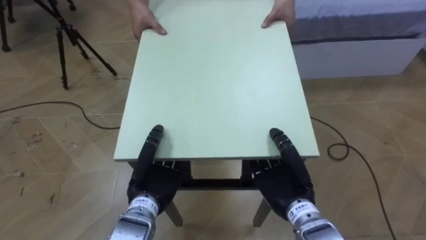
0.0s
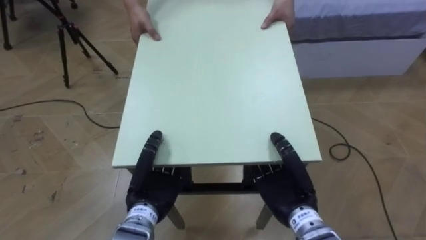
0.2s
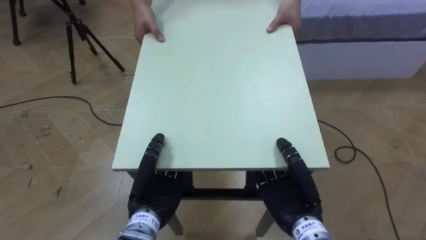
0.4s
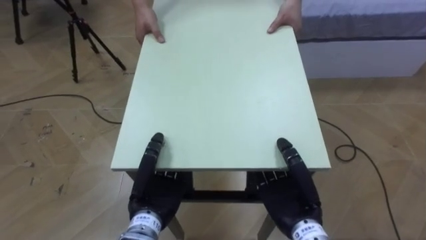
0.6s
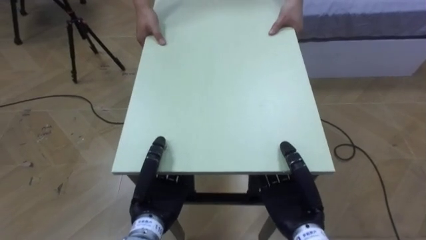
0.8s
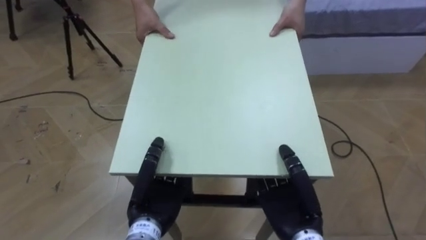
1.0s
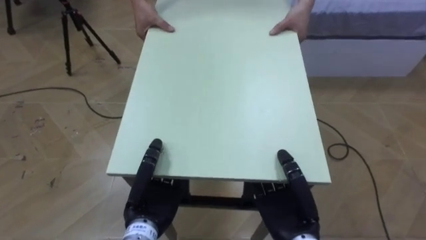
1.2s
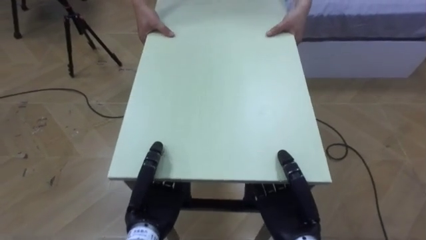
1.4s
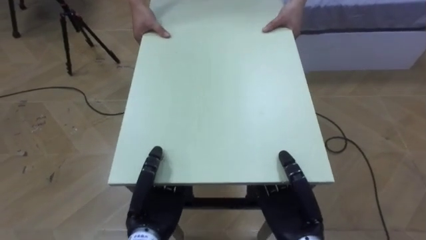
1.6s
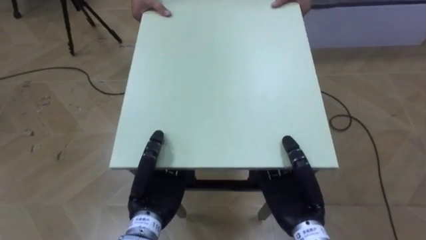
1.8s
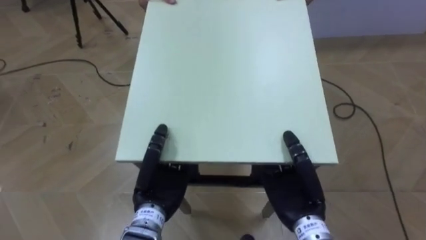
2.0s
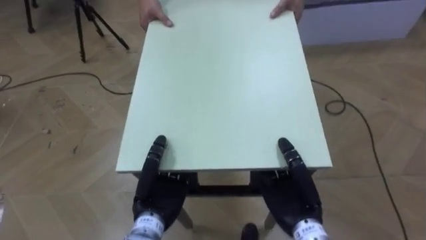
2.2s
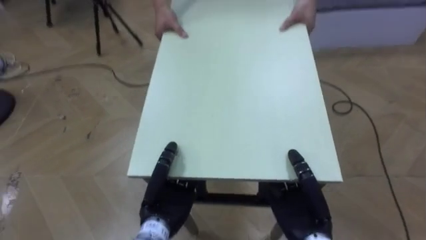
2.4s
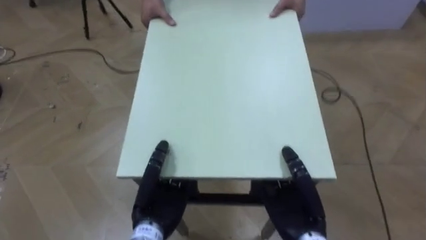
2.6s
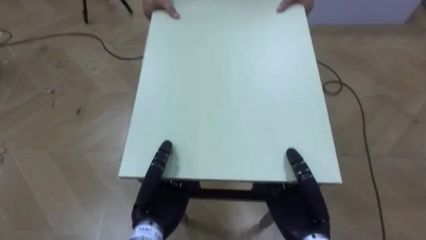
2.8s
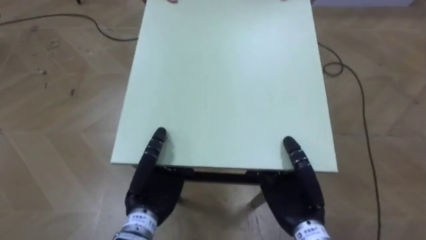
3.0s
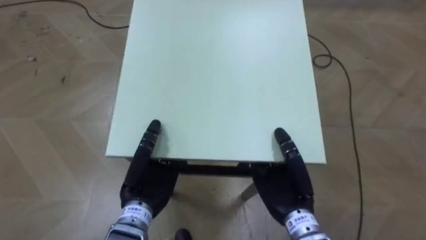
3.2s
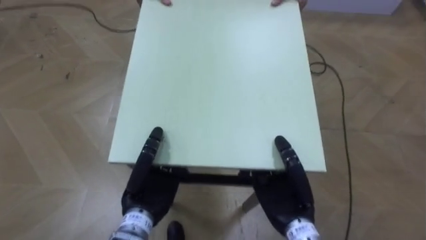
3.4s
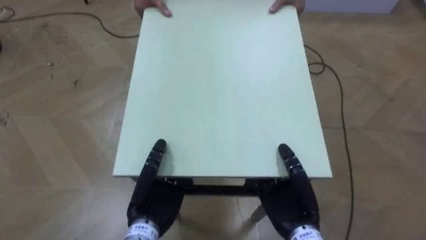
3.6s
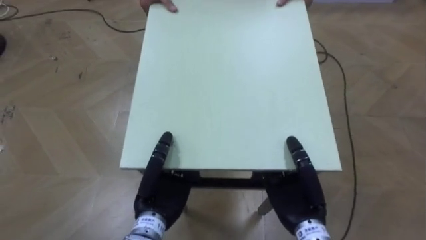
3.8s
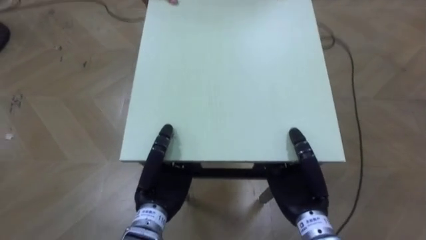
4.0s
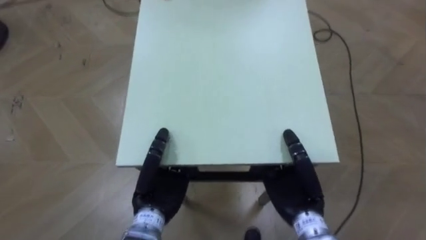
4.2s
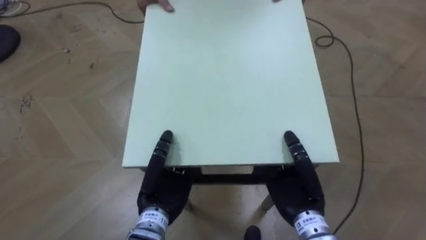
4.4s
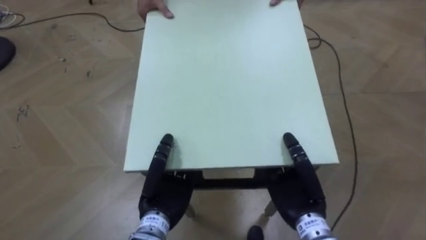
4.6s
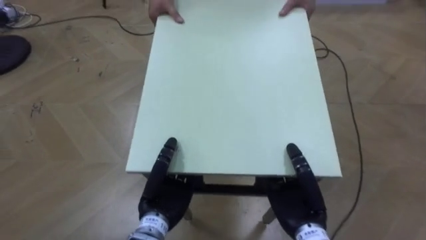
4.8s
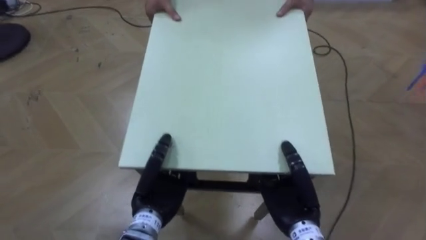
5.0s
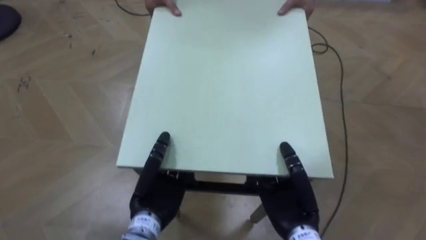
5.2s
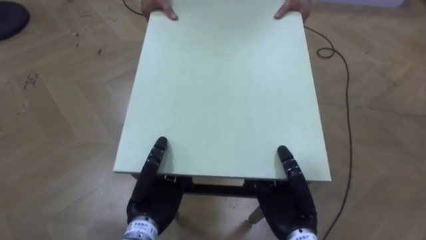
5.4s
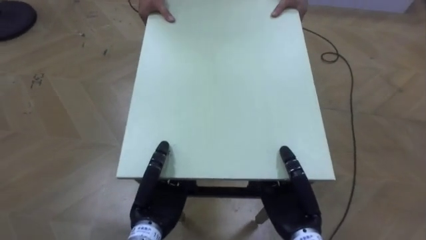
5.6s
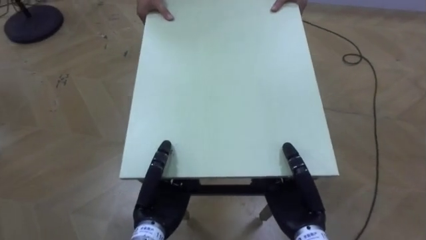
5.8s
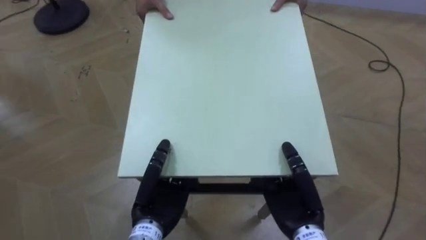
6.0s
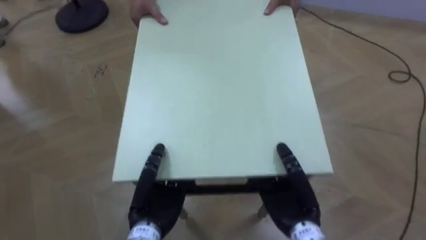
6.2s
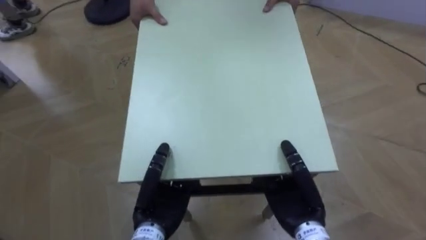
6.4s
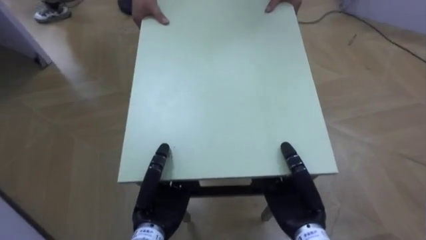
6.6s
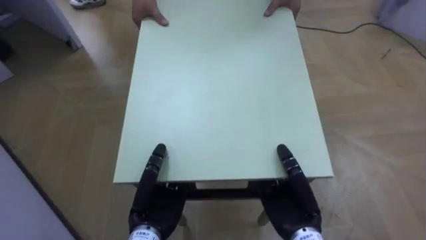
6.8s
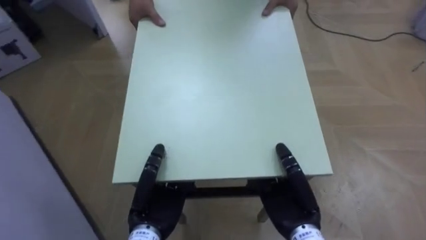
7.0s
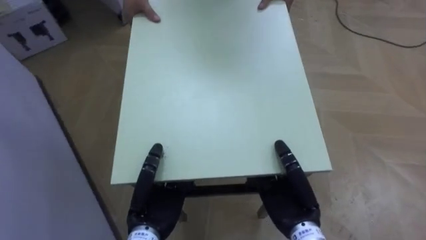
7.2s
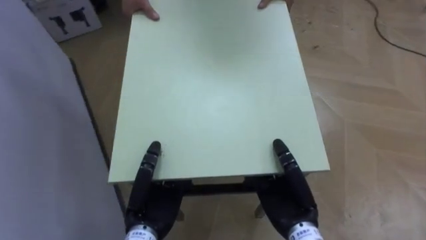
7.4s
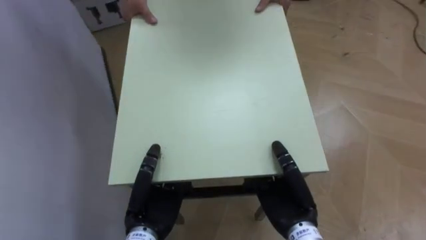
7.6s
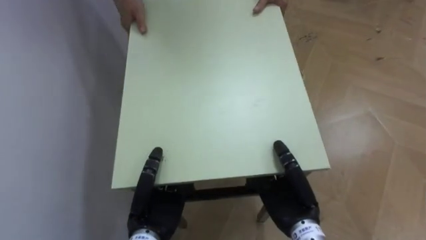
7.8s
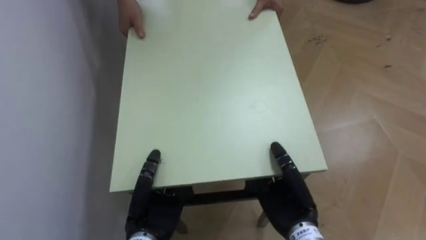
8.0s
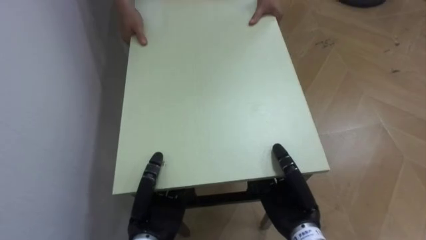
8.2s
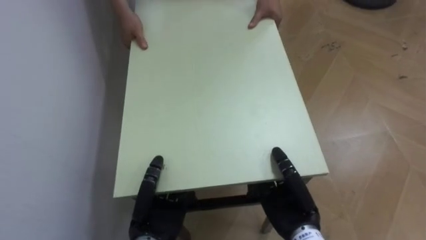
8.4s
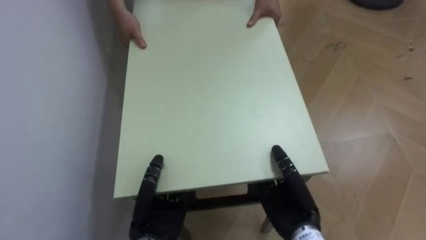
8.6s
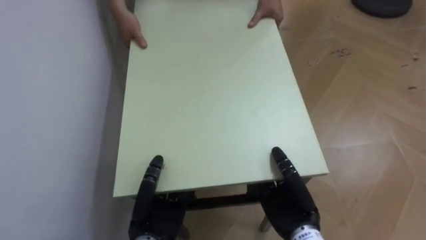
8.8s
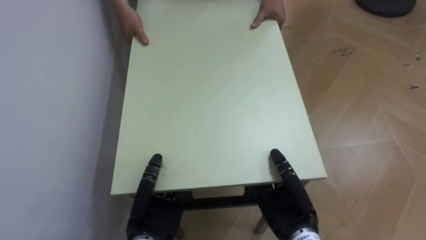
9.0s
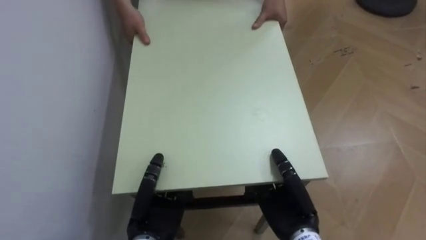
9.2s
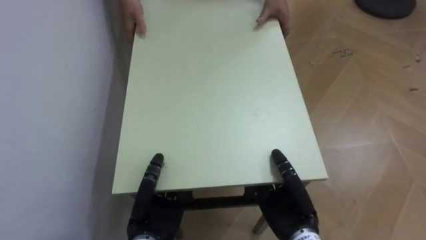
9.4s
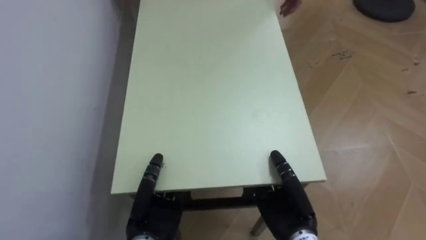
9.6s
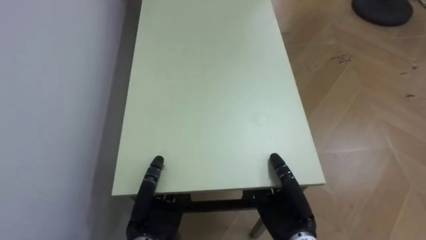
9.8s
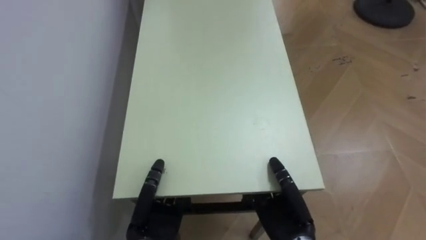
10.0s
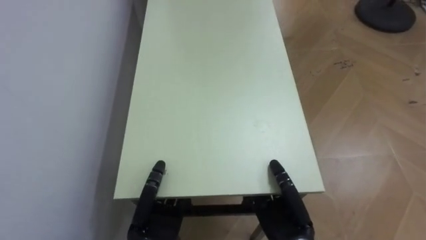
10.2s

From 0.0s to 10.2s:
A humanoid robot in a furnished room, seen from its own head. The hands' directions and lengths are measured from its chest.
Task of the whole recording: Move the table to the back left with someone.
From 5.8s to 7.2s: The robot faces about 35 degrees further to its left.
From 7.2s to 8.8s: The robot turns to its left by some 40 degrees.

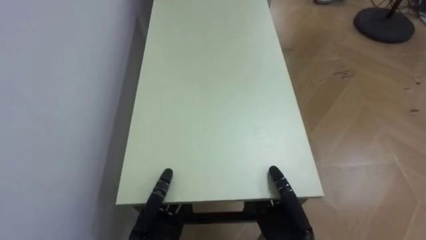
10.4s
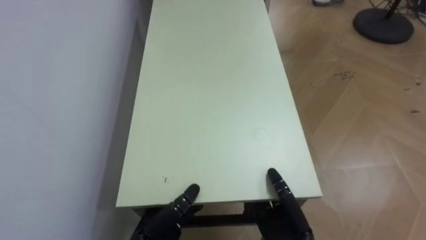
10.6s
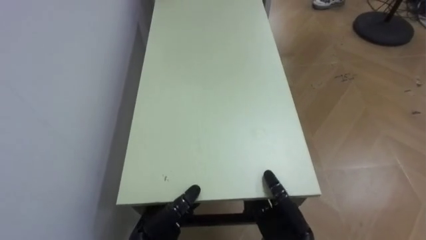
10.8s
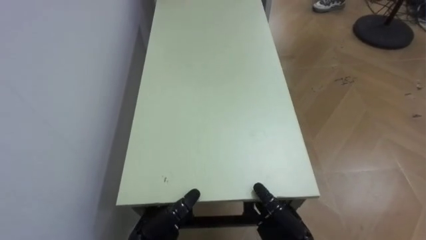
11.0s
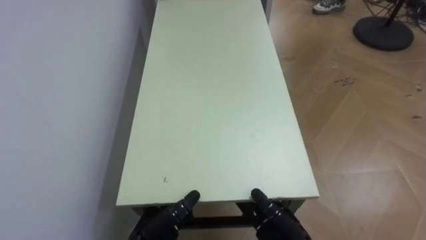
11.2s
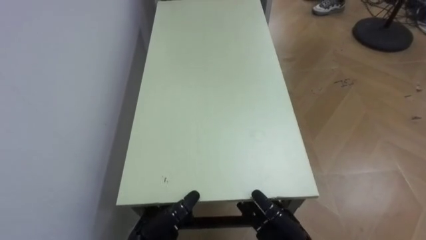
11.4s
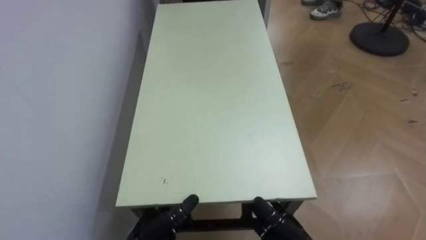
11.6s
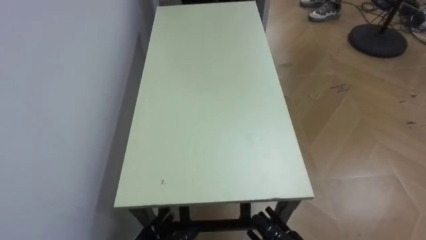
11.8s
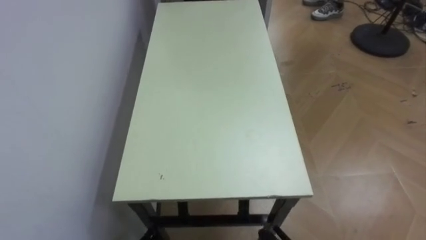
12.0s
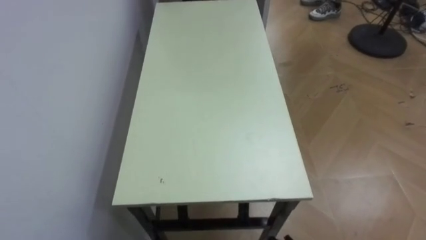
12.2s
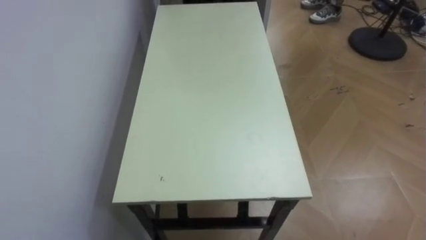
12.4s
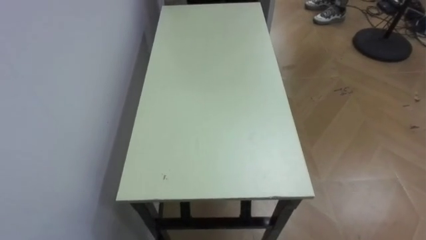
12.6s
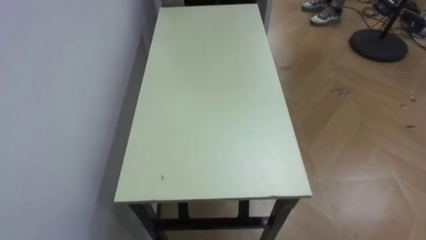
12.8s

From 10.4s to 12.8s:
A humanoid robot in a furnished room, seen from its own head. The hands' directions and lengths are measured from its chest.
Task of the whole recording: Move the table to the back left with someone.
From 10.4s to 11.6s: The left hand opens its fingers. Meanwhile the right hand moves approximately 5 cm, and opens up.

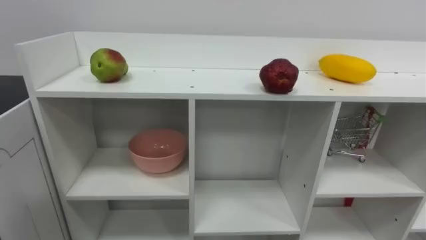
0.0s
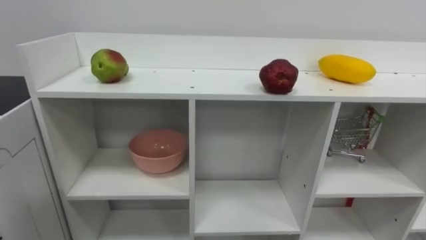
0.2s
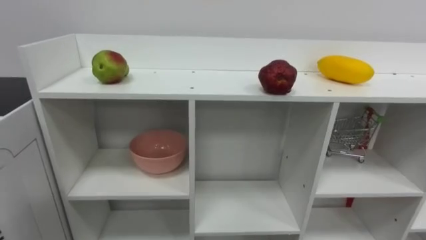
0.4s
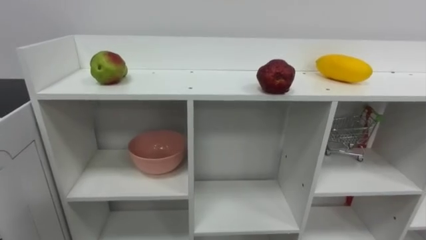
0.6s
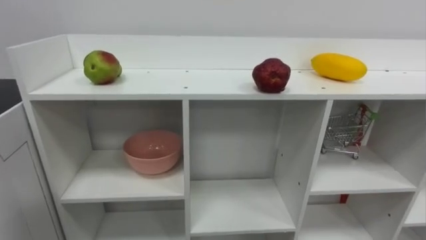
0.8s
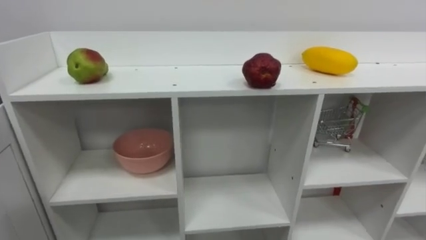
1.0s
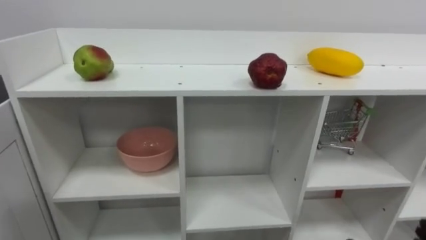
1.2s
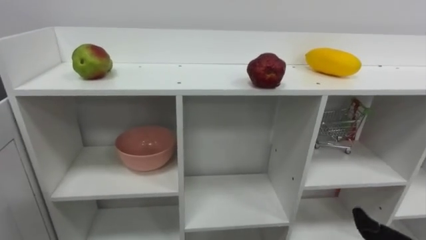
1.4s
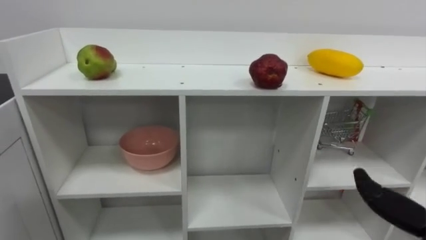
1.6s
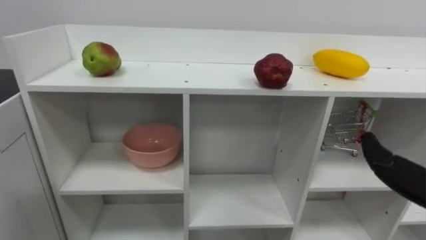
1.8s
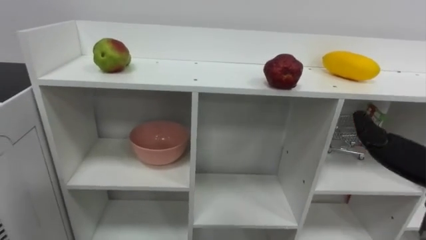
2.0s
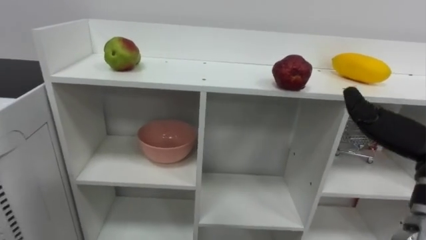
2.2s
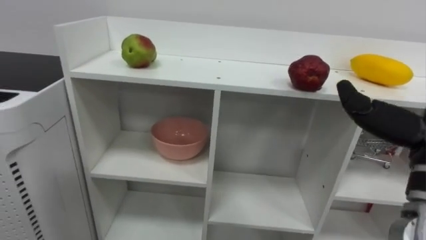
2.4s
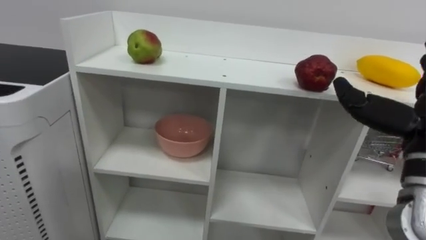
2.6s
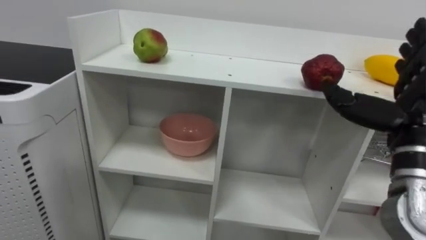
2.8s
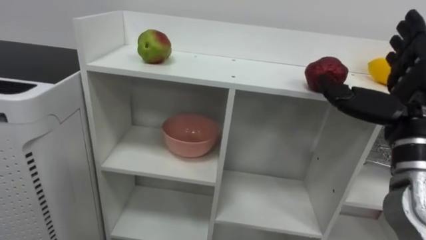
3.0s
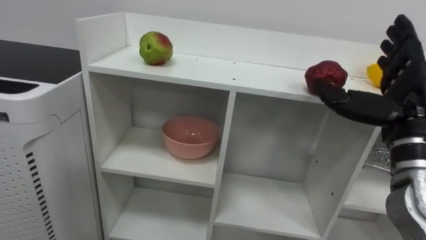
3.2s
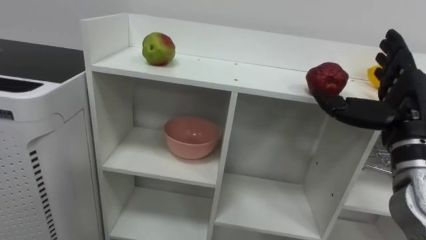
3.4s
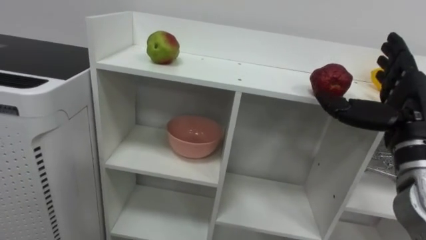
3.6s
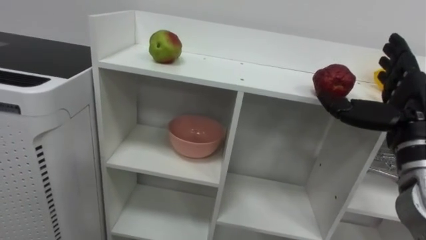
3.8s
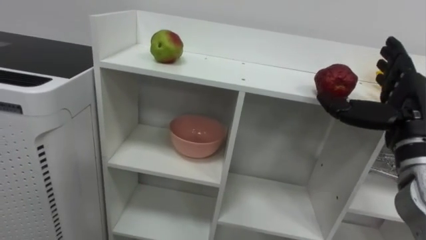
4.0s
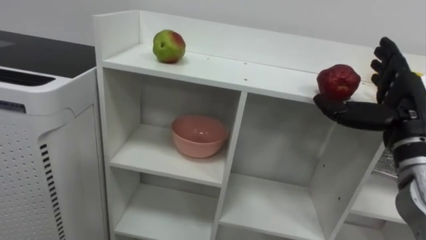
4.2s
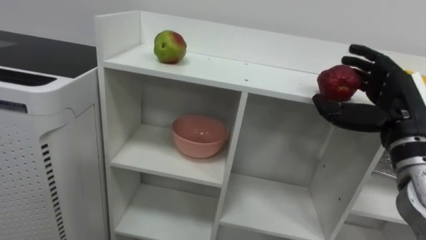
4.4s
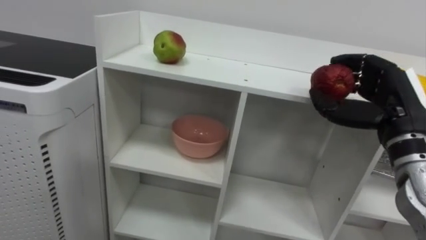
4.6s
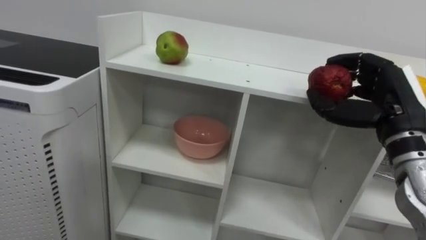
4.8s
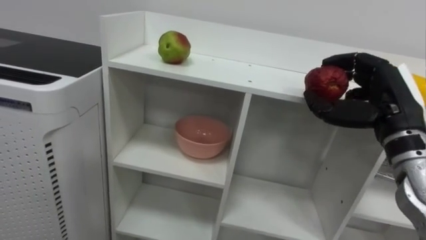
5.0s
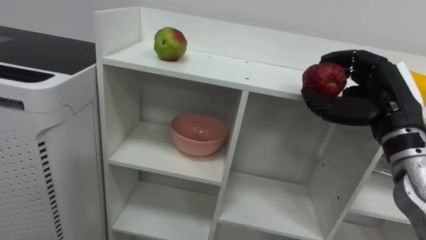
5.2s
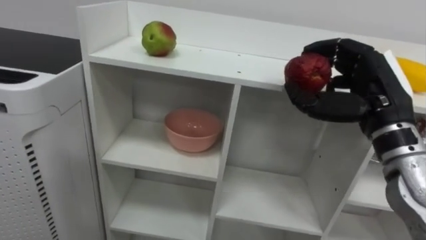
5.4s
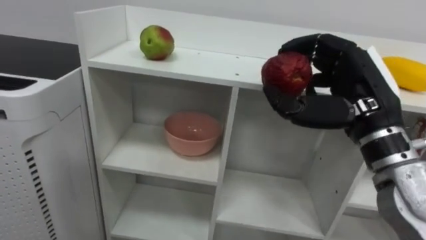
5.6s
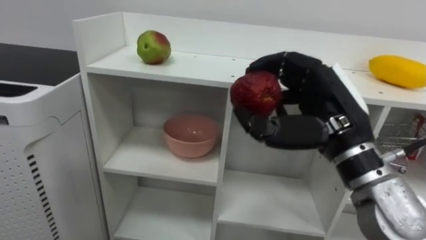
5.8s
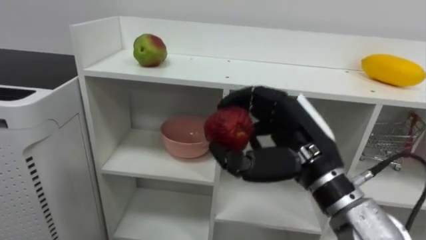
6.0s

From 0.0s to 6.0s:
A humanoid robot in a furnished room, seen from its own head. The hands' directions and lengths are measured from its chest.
Task of the whole recording: Put the apple in the cell in the second column from the left and the second row from the top.
From 4.4s to 6.0s: The right hand shifts some 15 cm to the left.
